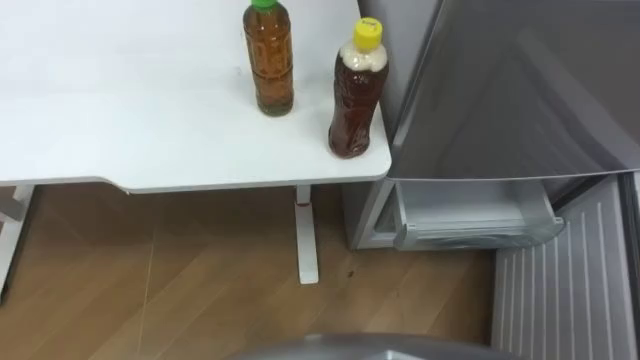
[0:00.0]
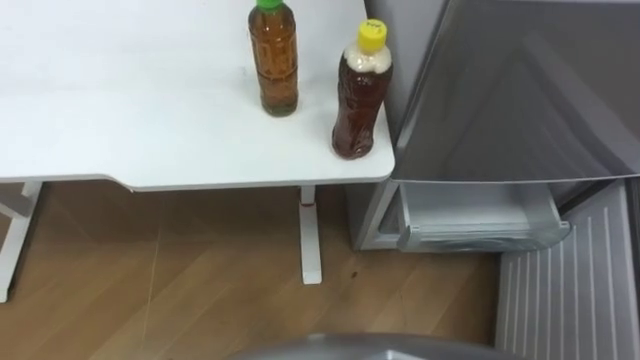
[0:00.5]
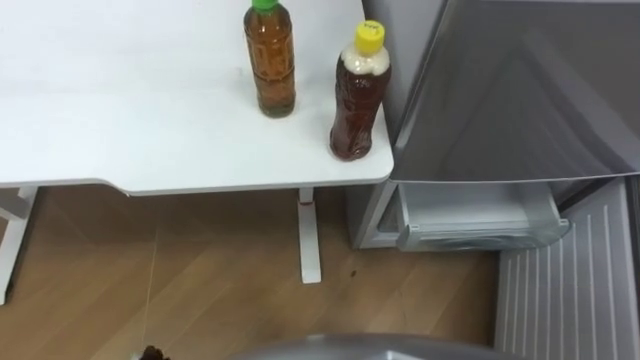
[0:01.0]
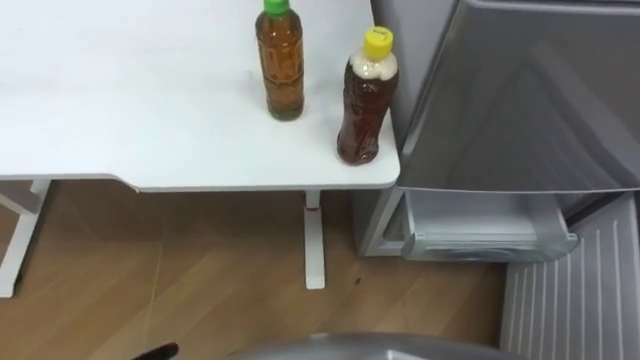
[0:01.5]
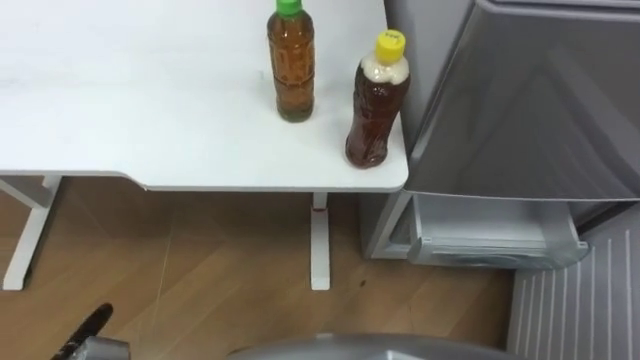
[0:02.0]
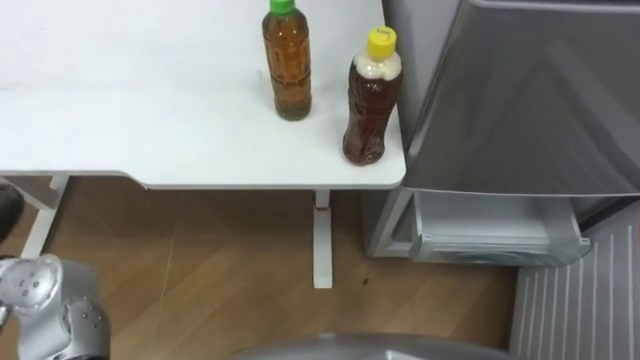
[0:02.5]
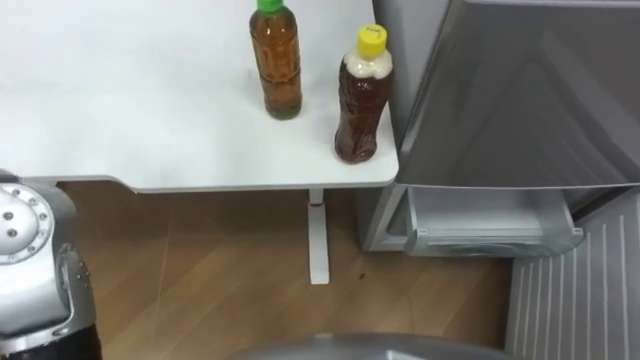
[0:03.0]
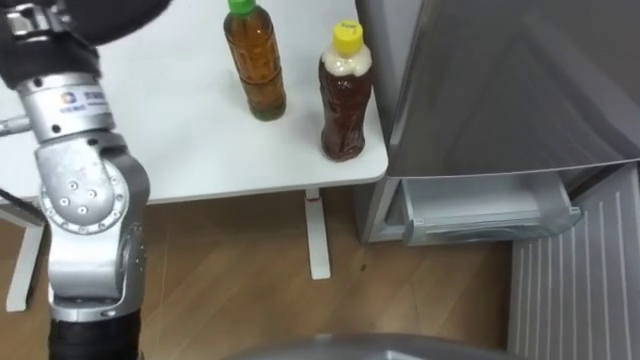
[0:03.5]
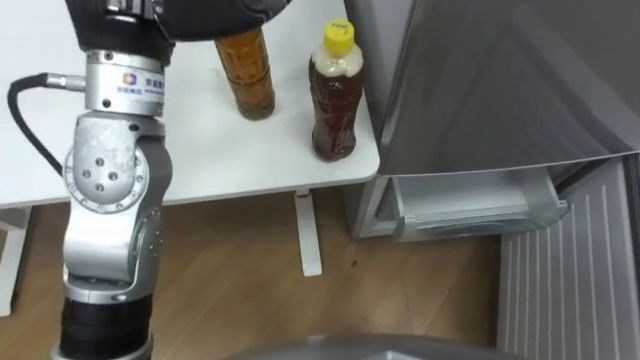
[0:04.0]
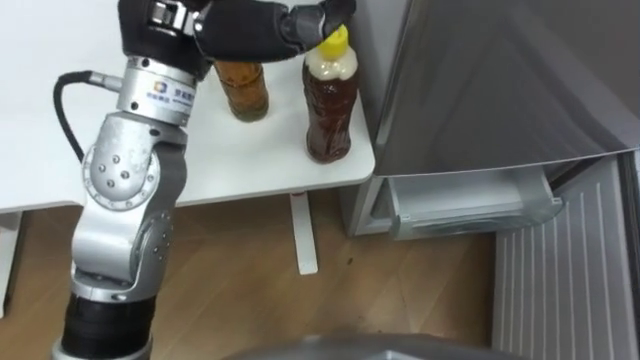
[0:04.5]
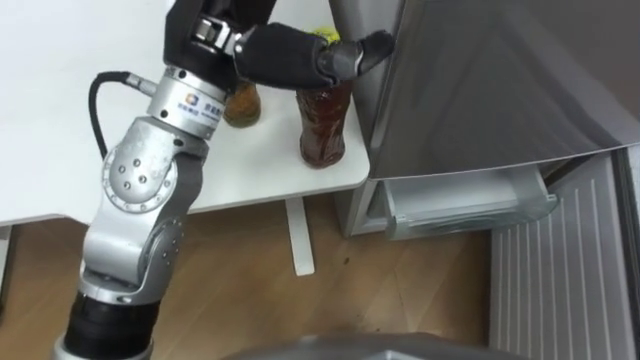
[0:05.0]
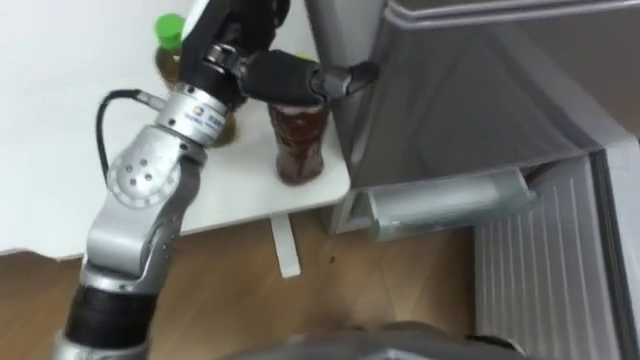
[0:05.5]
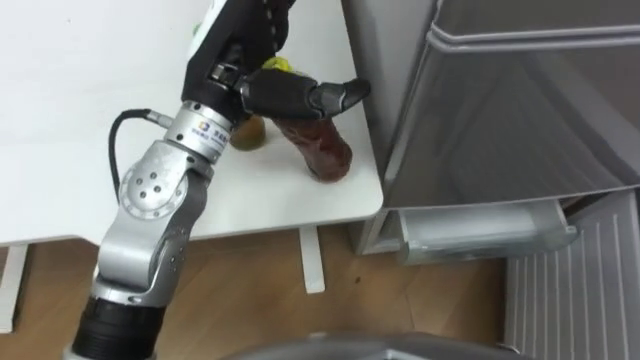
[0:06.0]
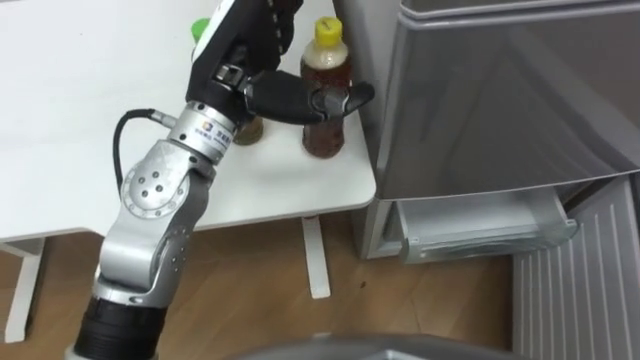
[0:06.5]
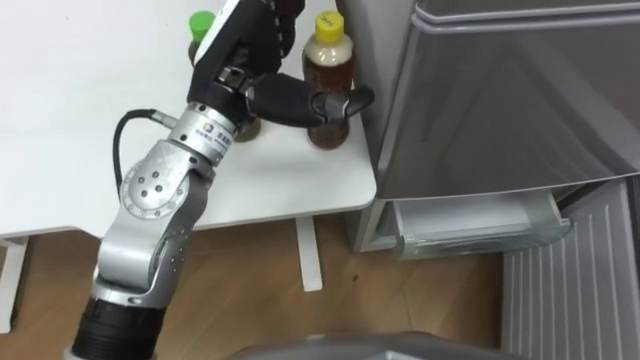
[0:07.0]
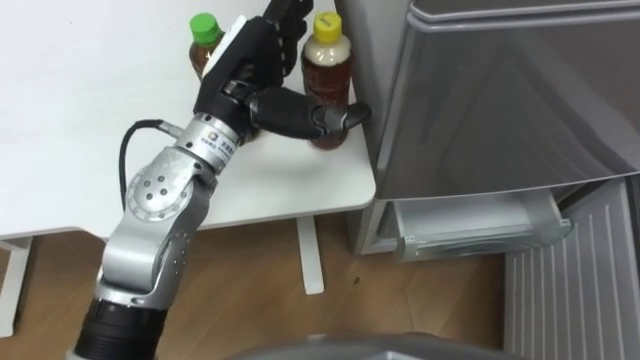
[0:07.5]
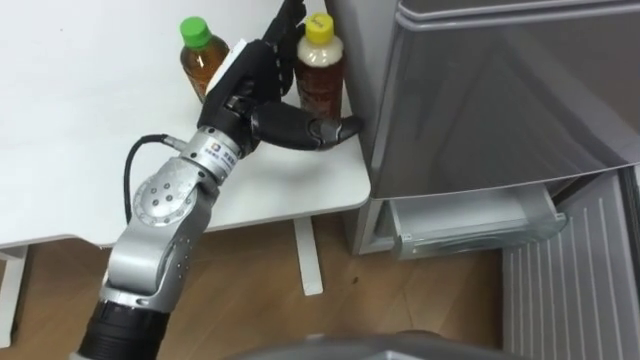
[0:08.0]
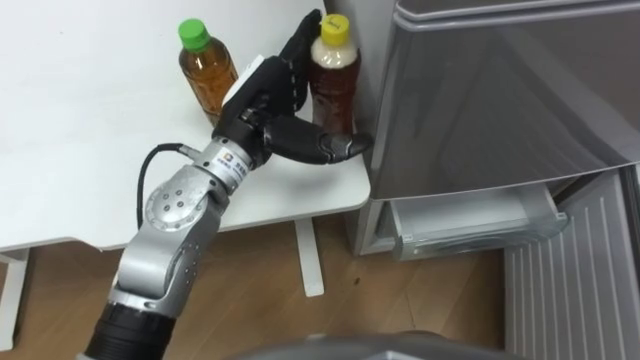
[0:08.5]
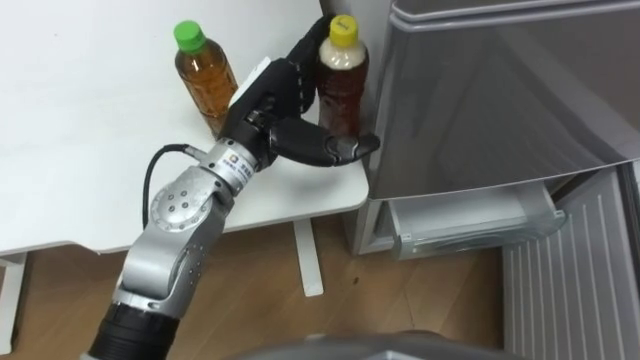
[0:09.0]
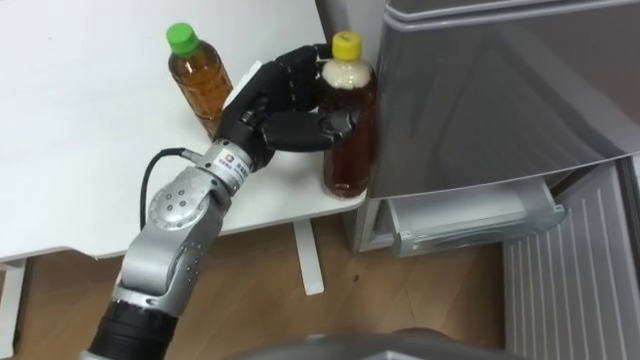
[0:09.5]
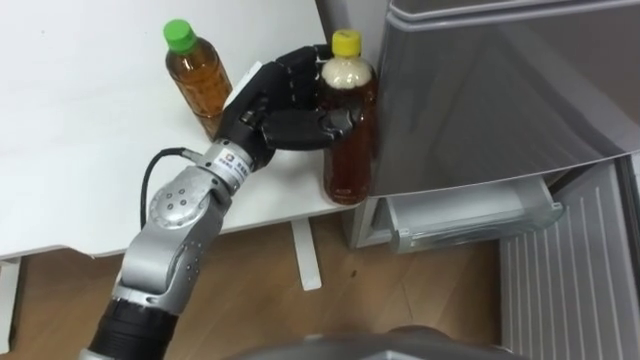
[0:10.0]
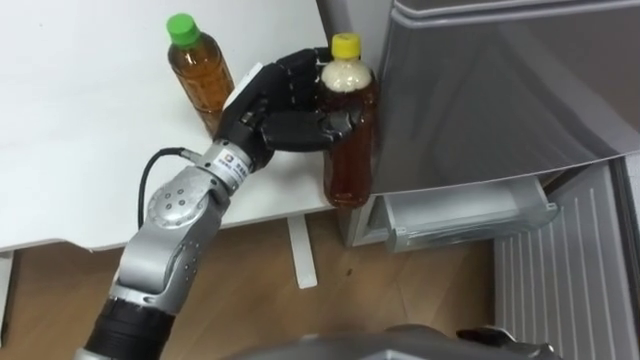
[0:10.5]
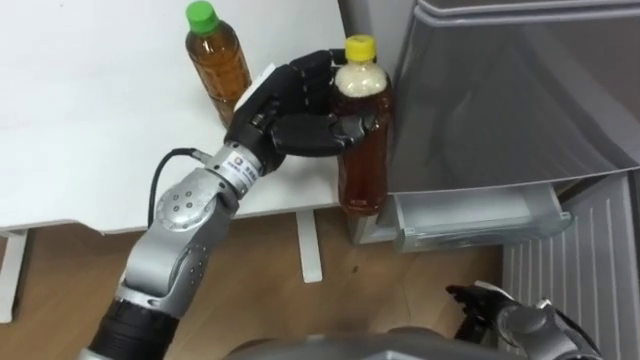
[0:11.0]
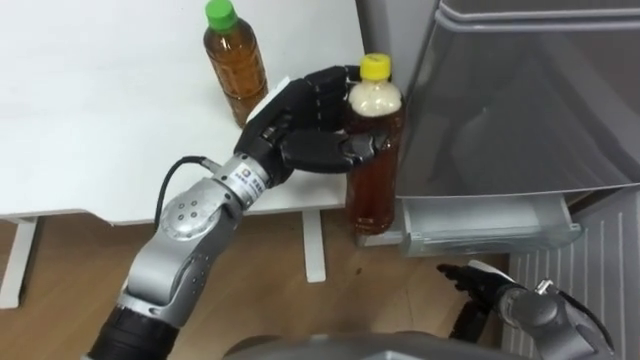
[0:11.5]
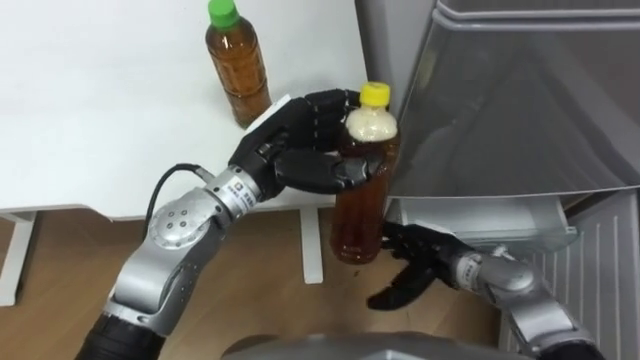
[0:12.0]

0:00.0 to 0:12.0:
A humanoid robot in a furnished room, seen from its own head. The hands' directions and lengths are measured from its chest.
Task of the whole recording: Place the drink on the table on the bottom shelf of the refrigerator, then close the drawer and the refrigerator door.
0:04.0 to 0:06.0: The left hand travels downward and to the right by some 10 cm.
0:06.0 to 0:08.0: The left hand travels downward by about 5 cm.
0:08.0 to 0:10.0: The left hand closes up.

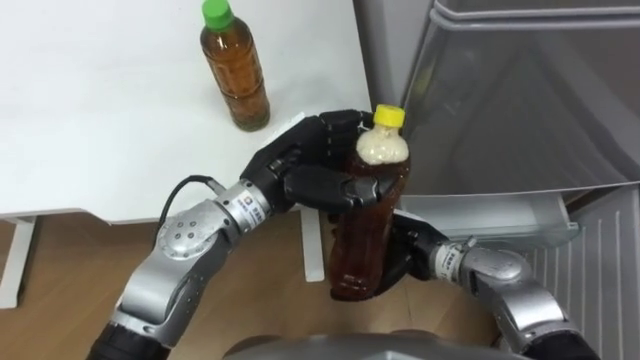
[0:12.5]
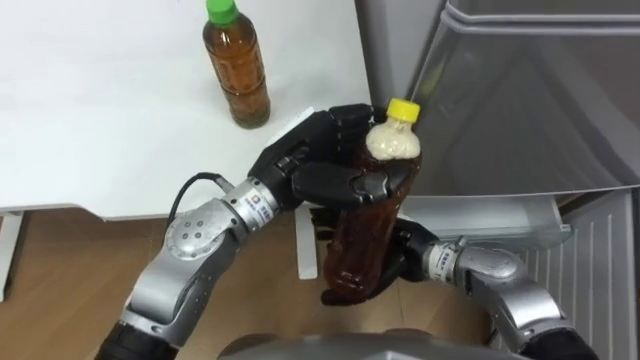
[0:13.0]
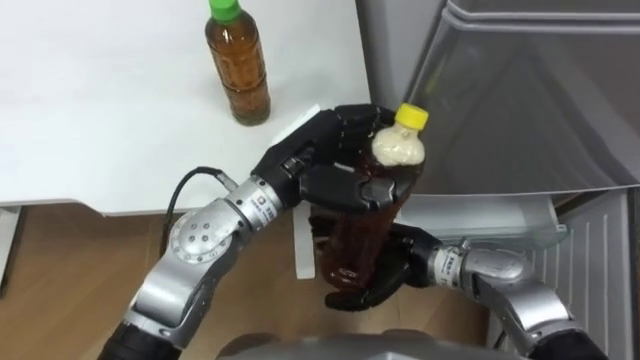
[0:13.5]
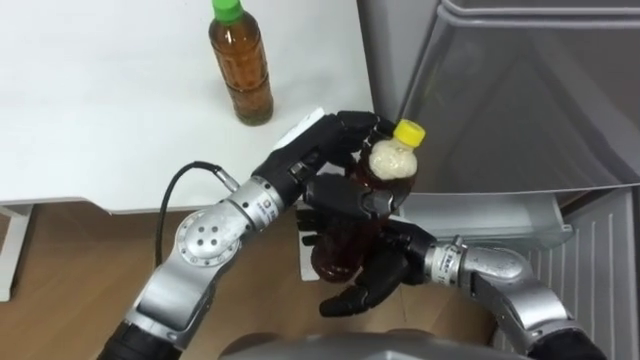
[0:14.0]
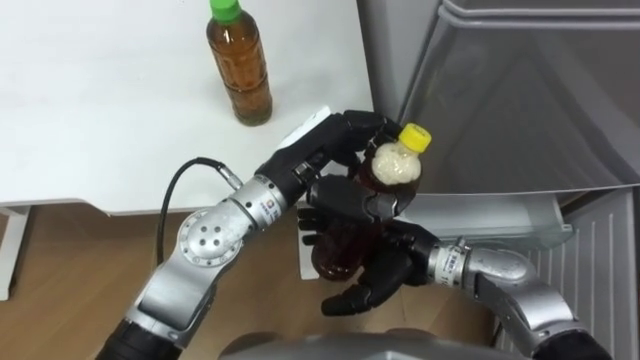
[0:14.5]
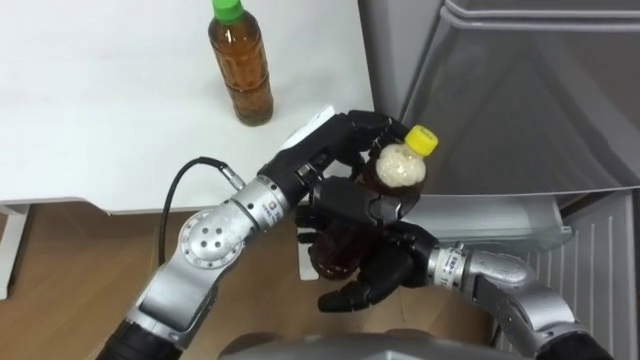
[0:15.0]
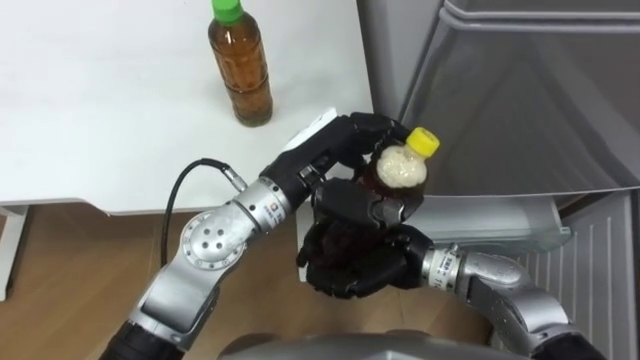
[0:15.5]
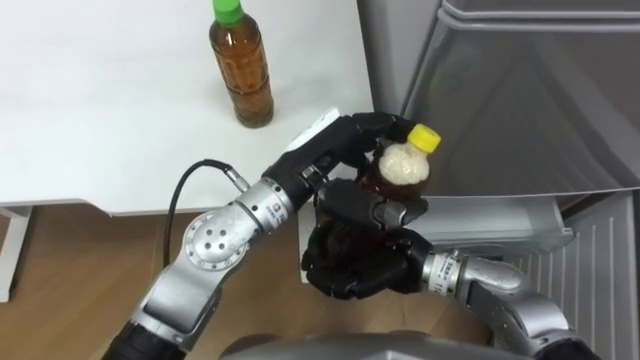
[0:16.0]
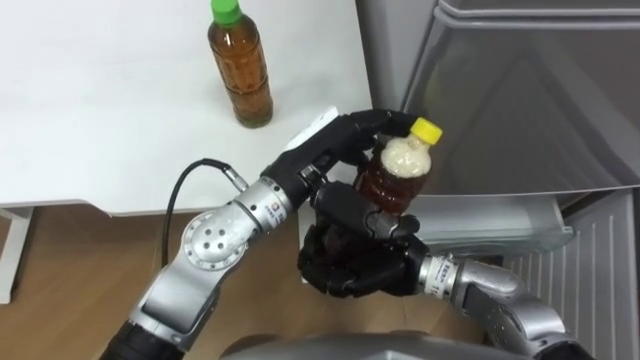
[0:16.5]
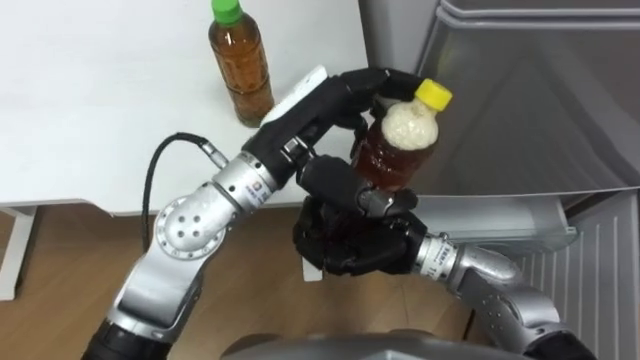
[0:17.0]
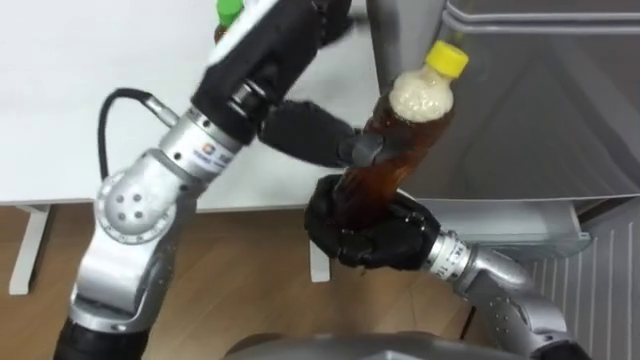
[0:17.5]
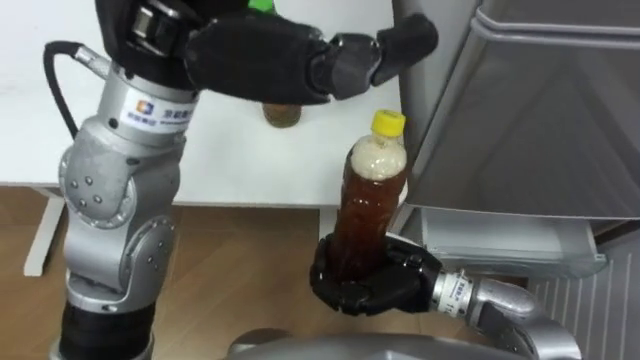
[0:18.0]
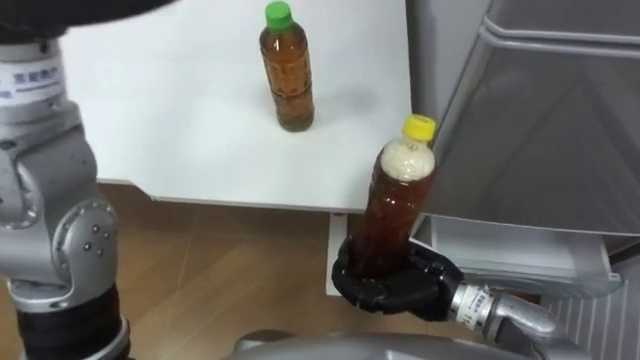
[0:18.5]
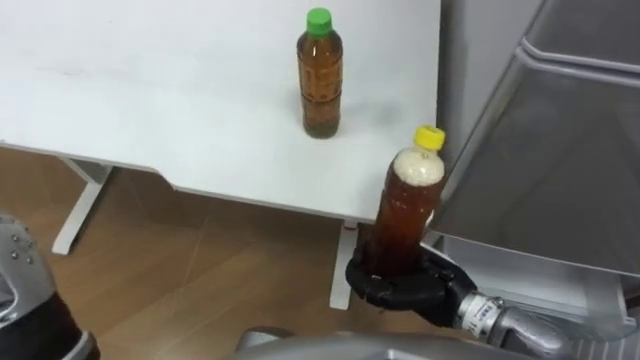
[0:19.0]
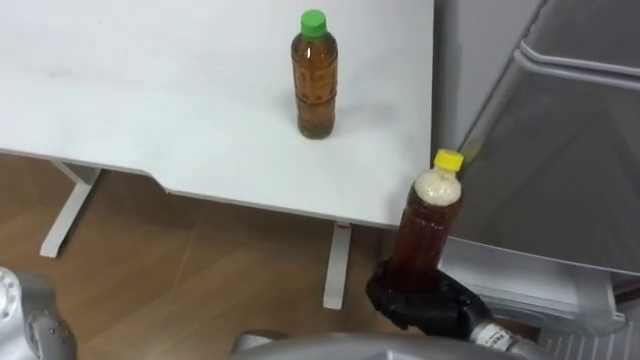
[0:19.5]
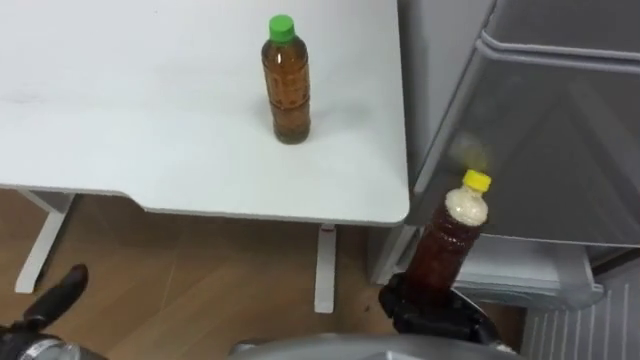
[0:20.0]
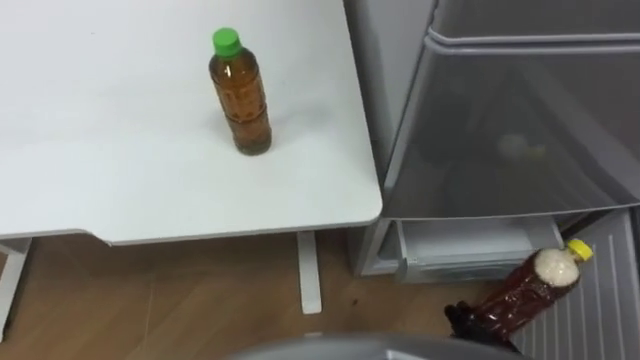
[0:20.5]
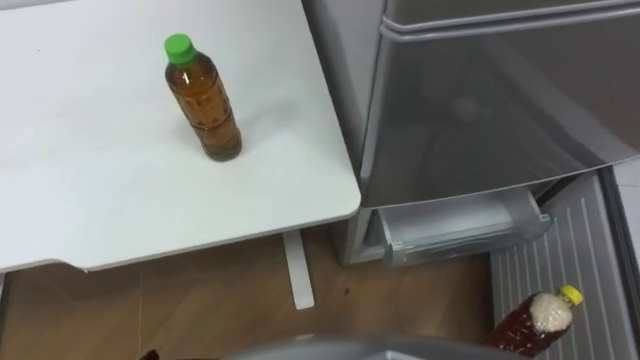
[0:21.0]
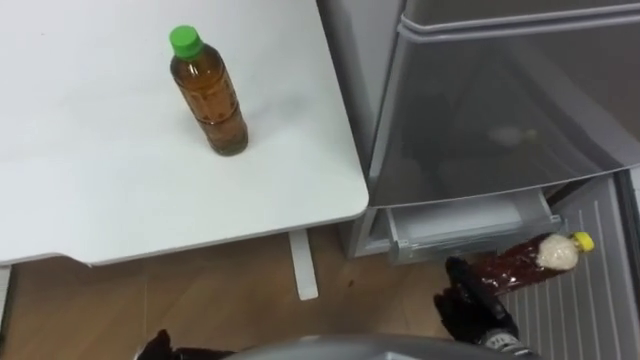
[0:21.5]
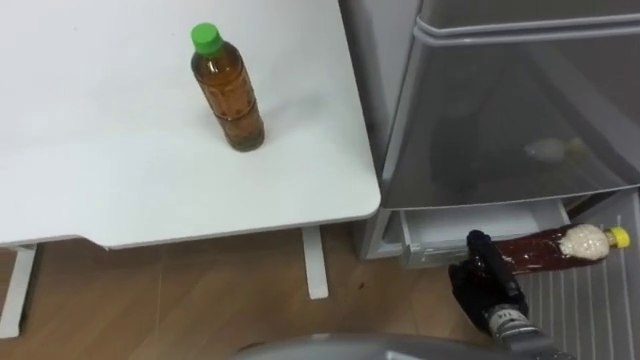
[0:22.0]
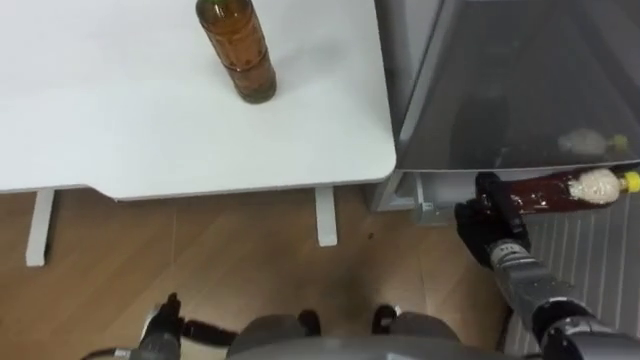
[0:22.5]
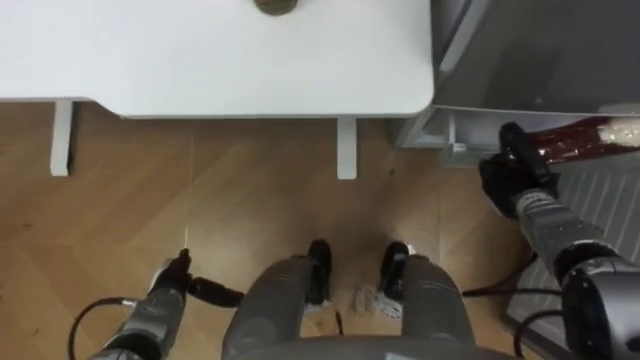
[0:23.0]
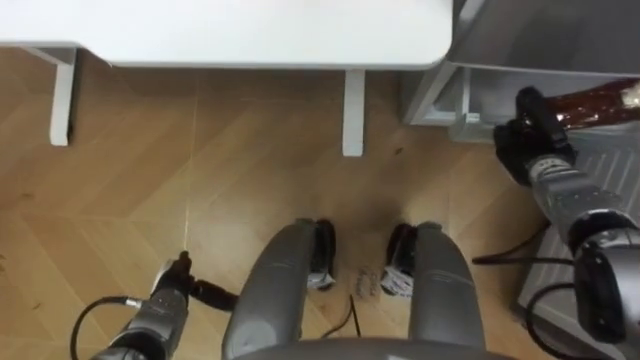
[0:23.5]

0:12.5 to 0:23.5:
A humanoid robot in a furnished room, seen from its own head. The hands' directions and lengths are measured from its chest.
Task of the whole recording: Place the drink on the table on the bottom shelf of the refrigerator, then close the drawer and the refrigerator door.
0:14.5 to 0:16.0: The right hand closes.
0:16.0 to 0:18.0: The left hand heads upward, covering some 20 cm, and opens its fingers.
0:18.0 to 0:20.0: The right hand heads to the right, downward and backward, covering some 15 cm.
0:21.5 to 0:23.5: The right hand heads forward and upward, covering approximately 25 cm.
